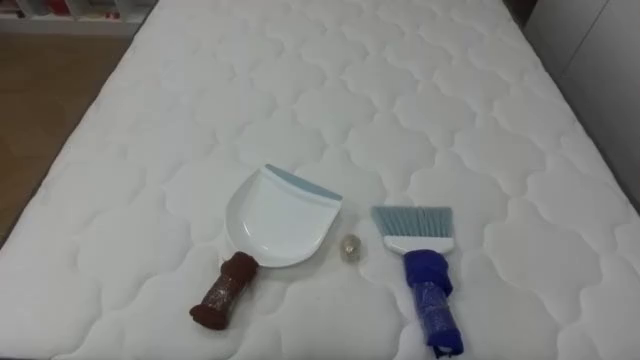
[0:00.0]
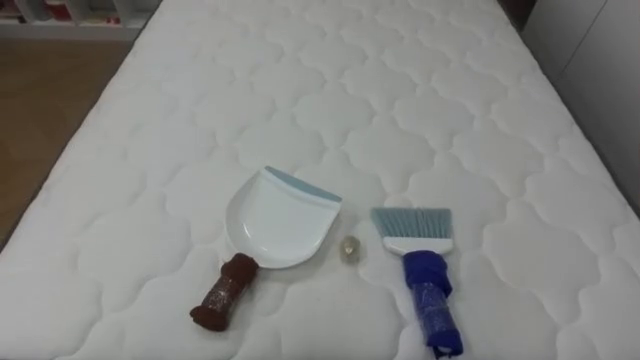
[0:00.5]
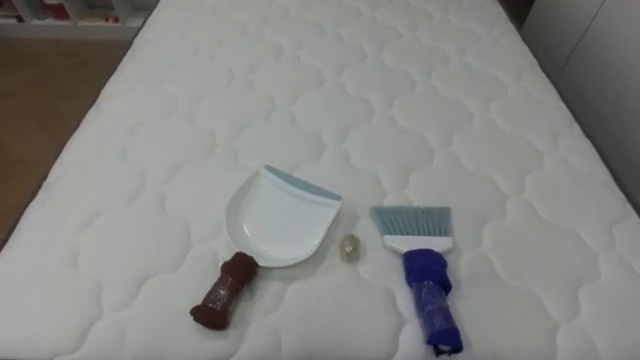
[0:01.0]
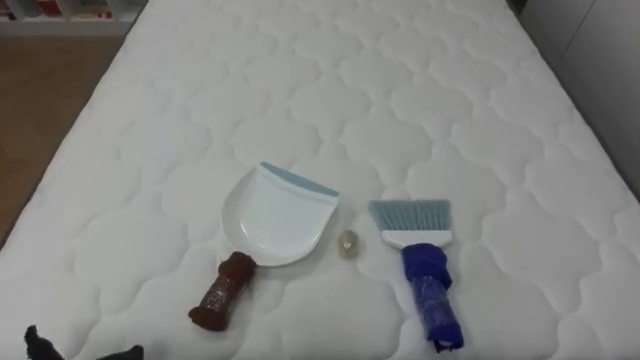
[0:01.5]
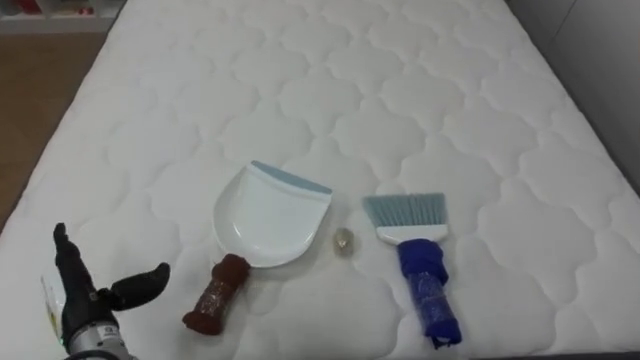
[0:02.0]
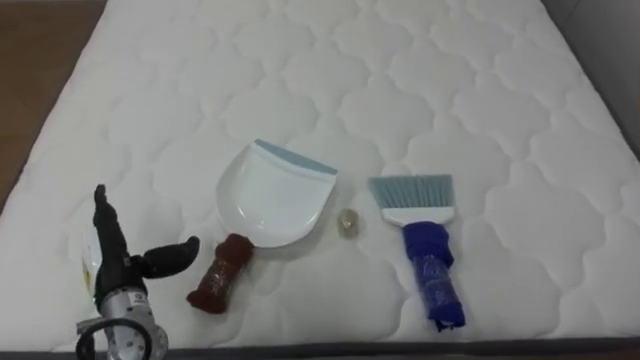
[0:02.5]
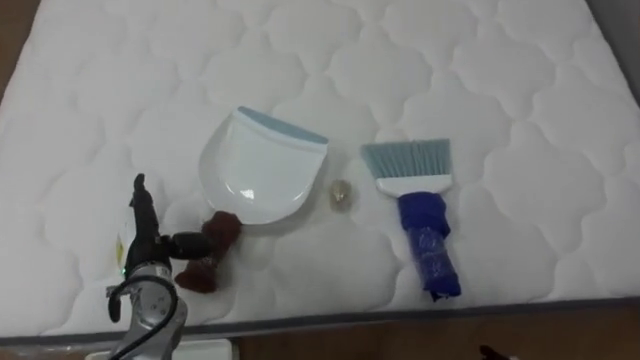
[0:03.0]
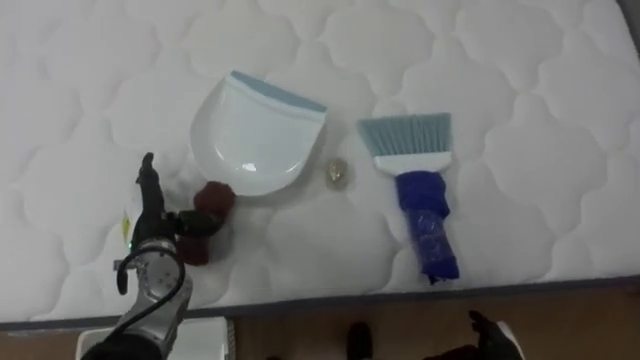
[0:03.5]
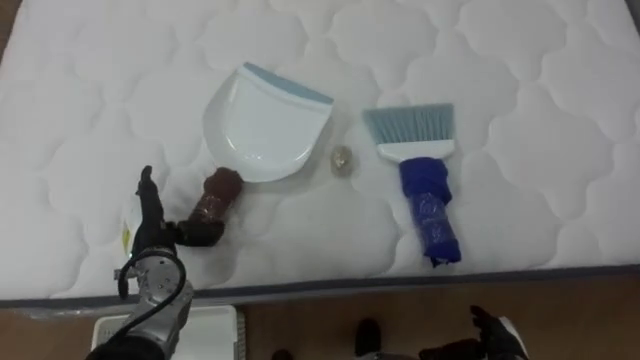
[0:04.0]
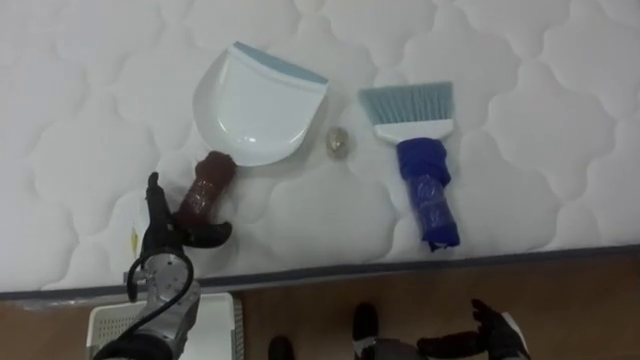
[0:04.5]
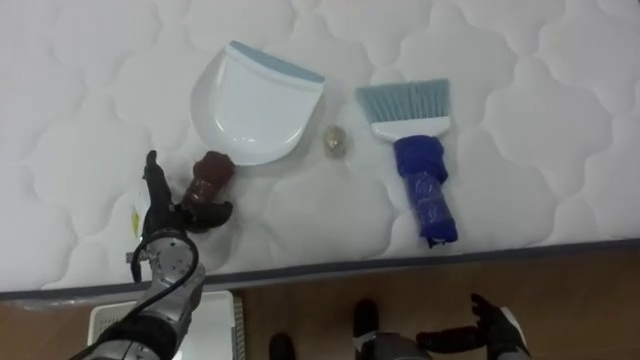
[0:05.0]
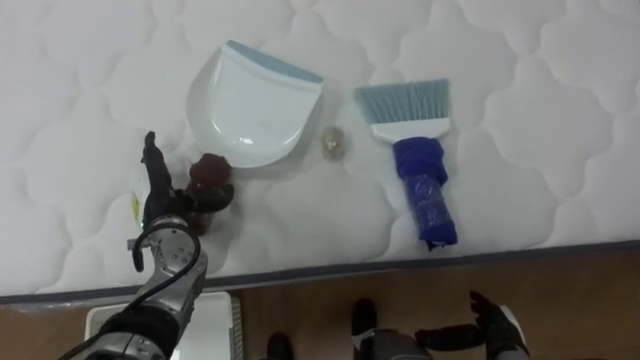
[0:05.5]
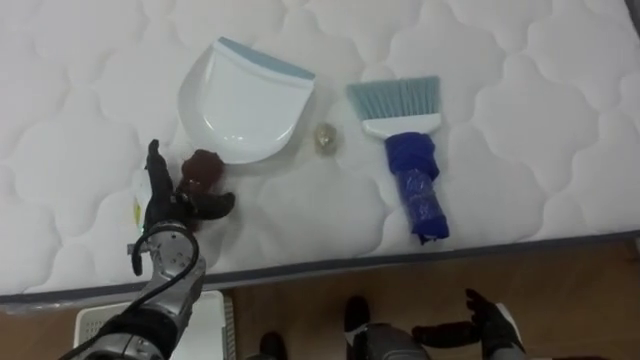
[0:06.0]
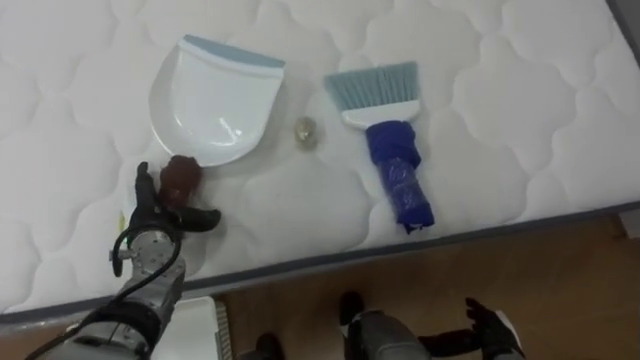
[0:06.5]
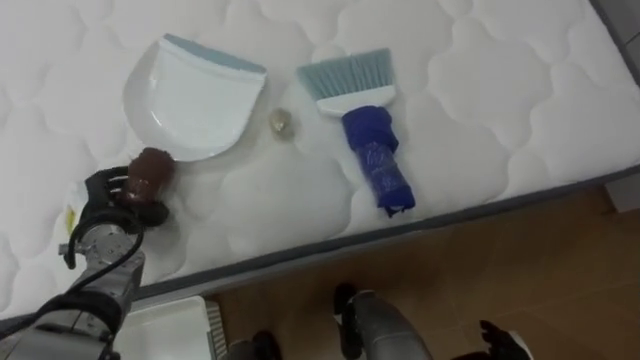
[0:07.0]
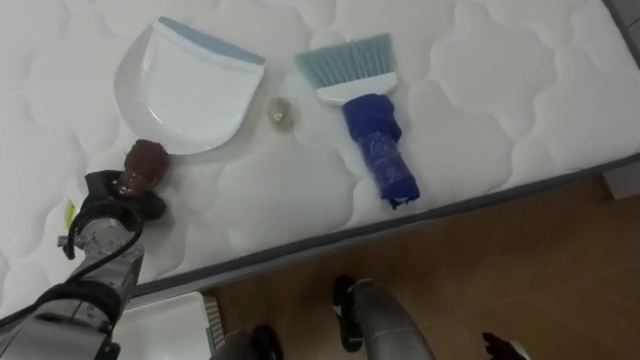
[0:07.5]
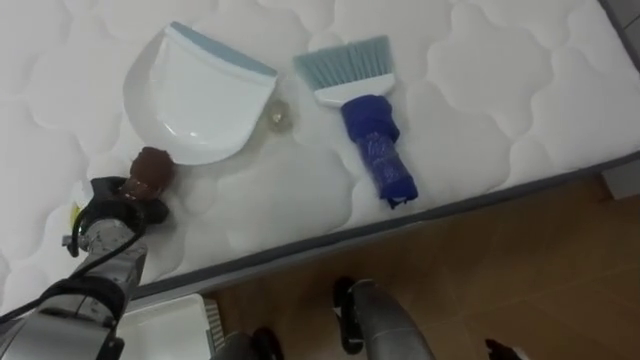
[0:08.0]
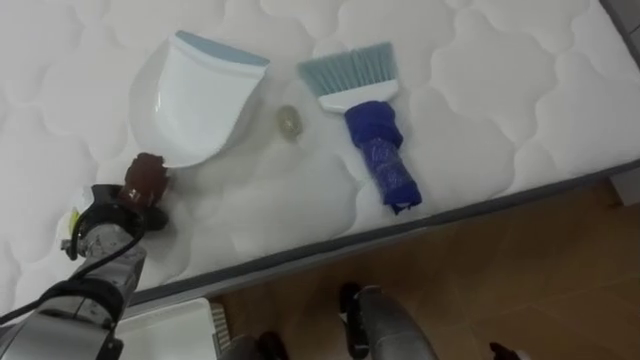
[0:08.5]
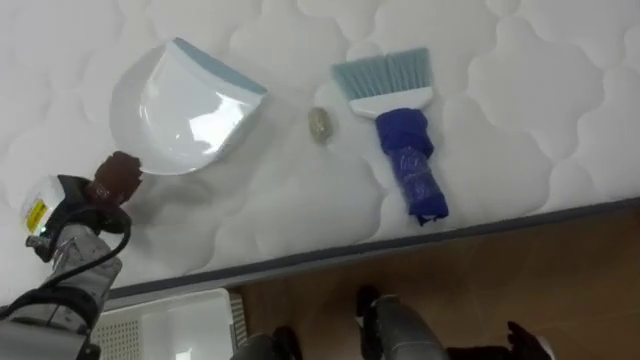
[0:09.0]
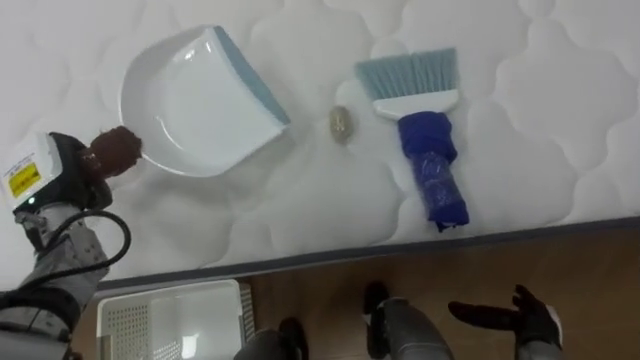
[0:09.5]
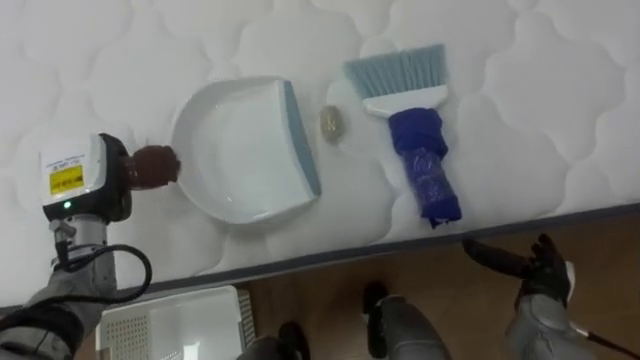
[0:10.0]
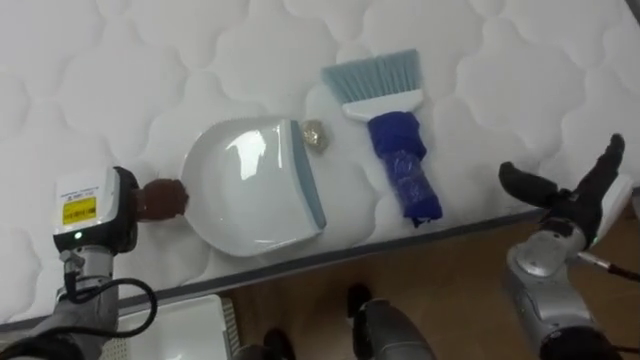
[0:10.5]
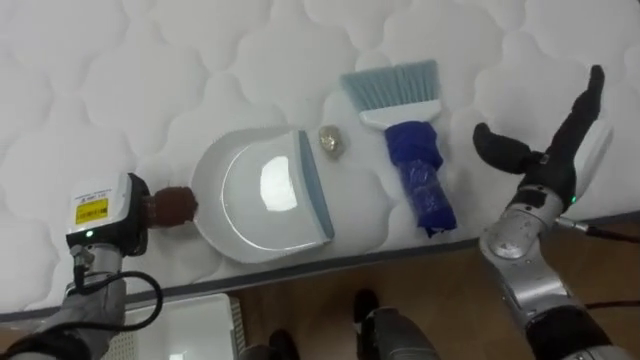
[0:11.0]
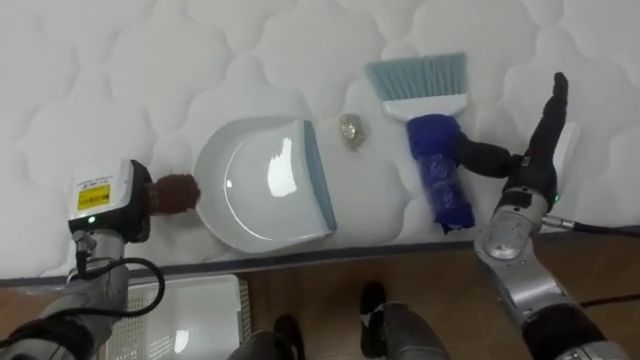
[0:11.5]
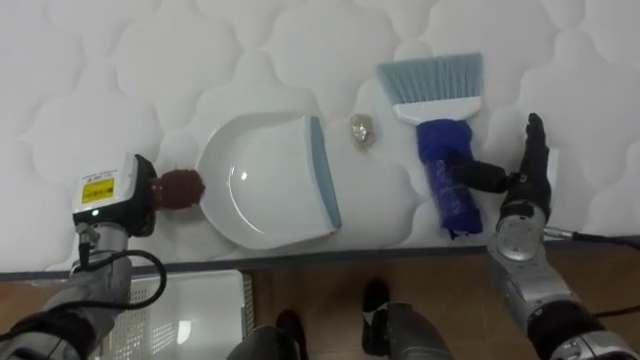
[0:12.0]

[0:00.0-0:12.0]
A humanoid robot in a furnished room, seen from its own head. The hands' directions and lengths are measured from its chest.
Task of the whole recording: Pick up the brush on your right and the dustpan on your left. Use the brush to sweep the crumpled paper on the bed into the dustpan, then turn left and empty it into the basket.
0:02.0 to 0:04.0: The left hand goes some 15 cm forward and to the right.
0:06.0 to 0:08.0: The left hand goes about 10 cm to the left, and closes.
0:08.0 to 0:10.0: The left hand goes approximately 5 cm upward.
0:10.0 to 0:12.0: The right hand is displaced upward and forward by approximately 15 cm.

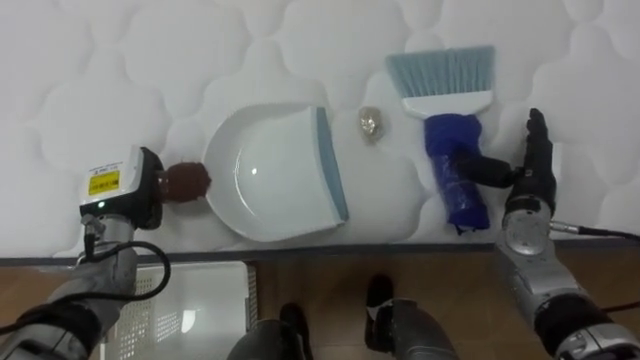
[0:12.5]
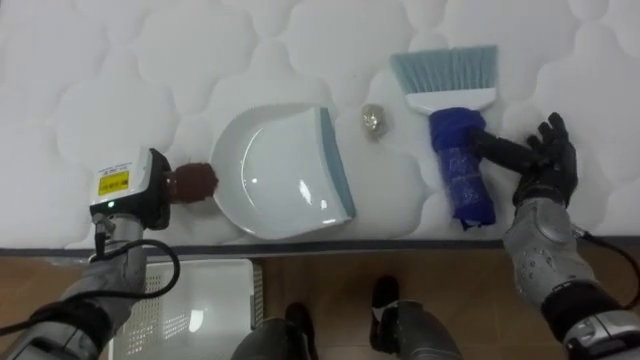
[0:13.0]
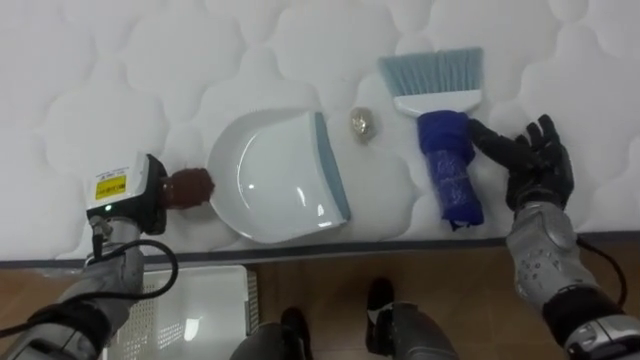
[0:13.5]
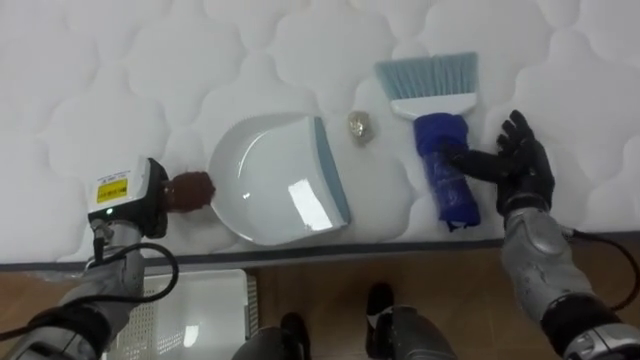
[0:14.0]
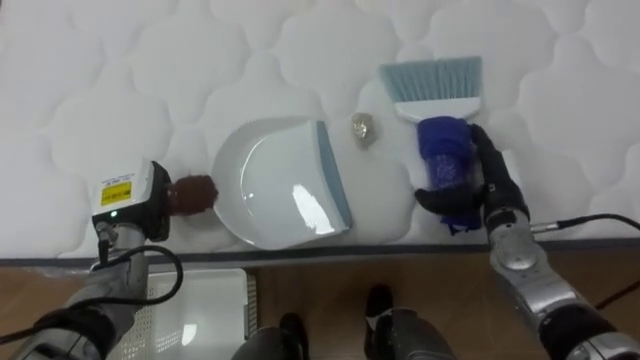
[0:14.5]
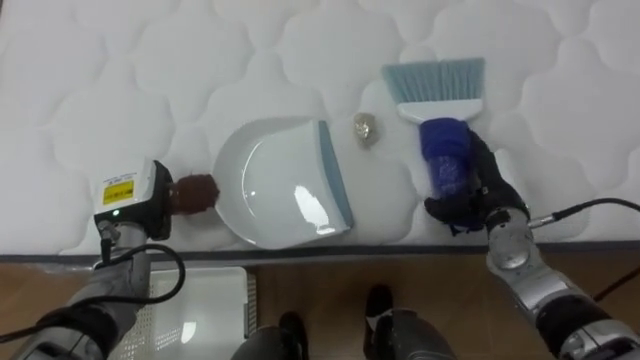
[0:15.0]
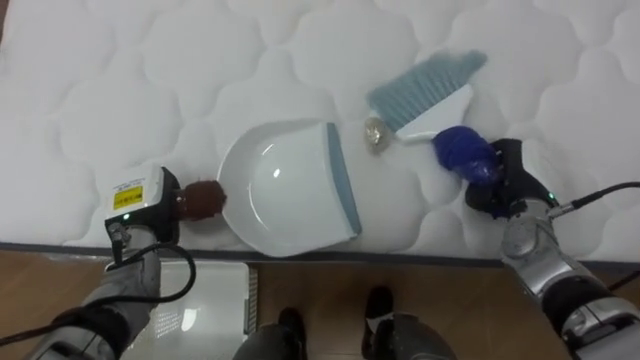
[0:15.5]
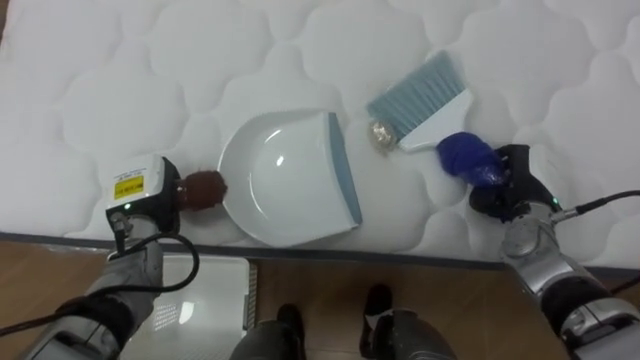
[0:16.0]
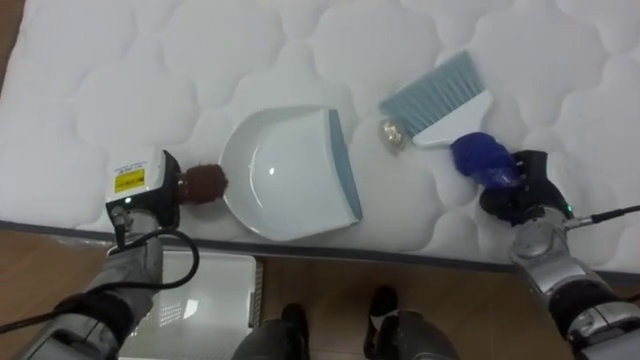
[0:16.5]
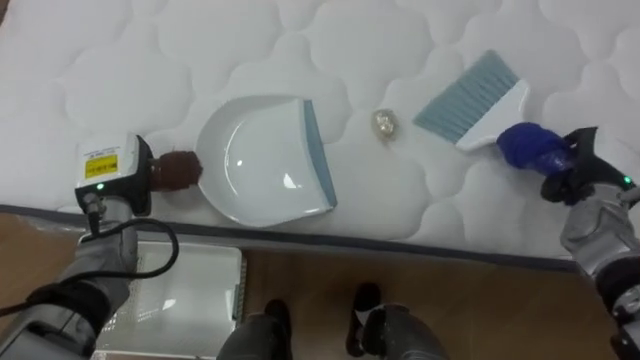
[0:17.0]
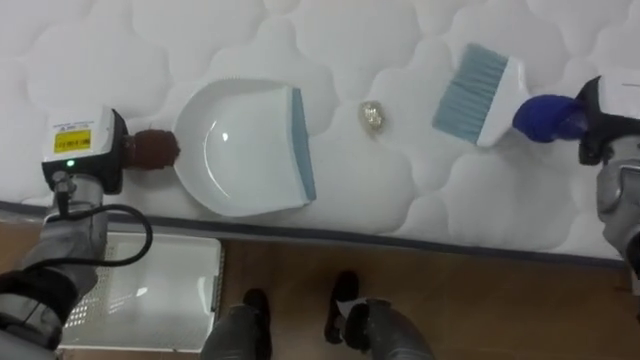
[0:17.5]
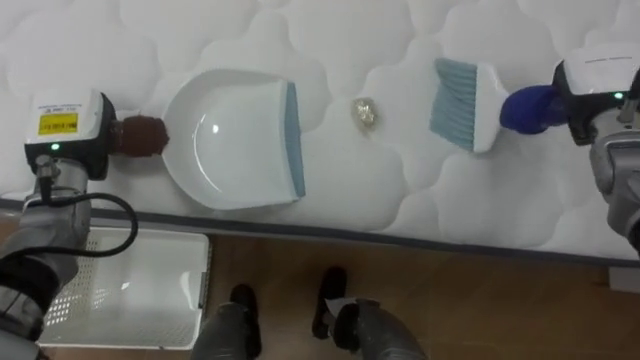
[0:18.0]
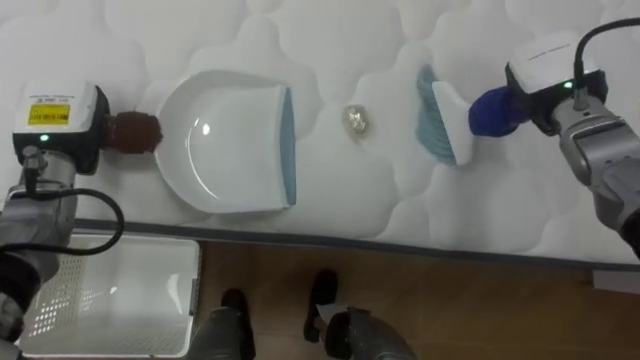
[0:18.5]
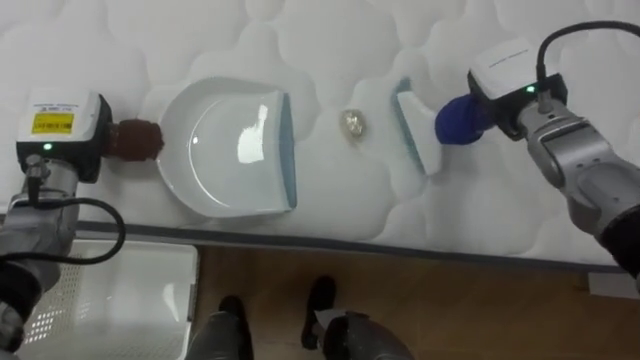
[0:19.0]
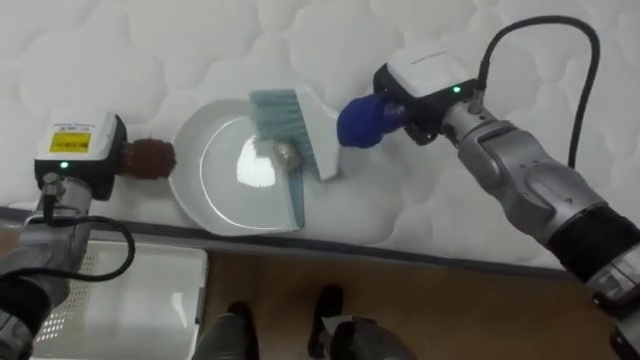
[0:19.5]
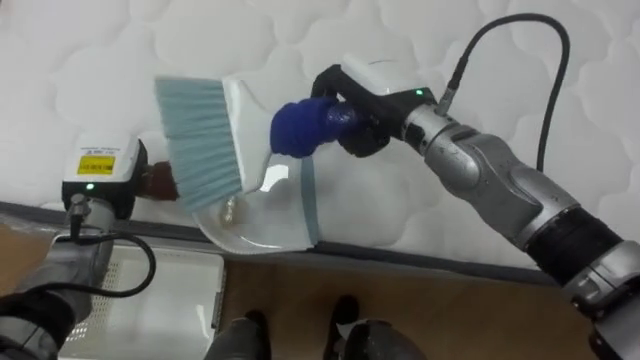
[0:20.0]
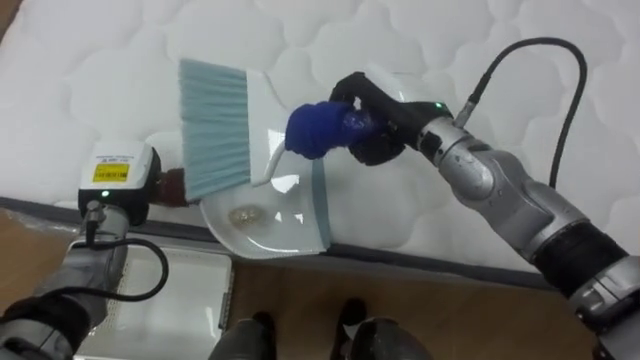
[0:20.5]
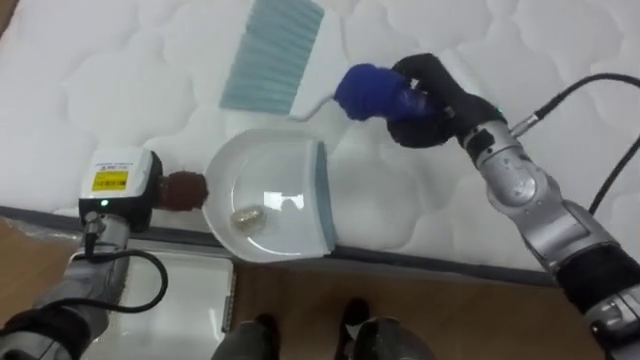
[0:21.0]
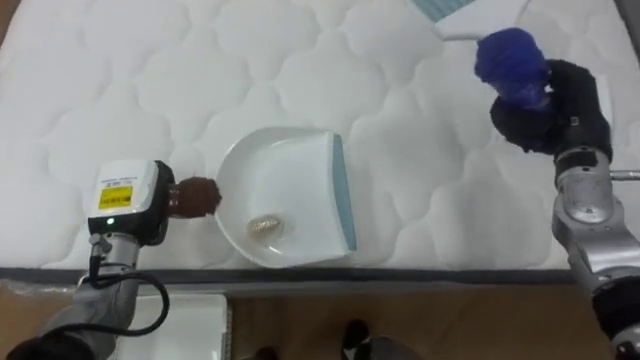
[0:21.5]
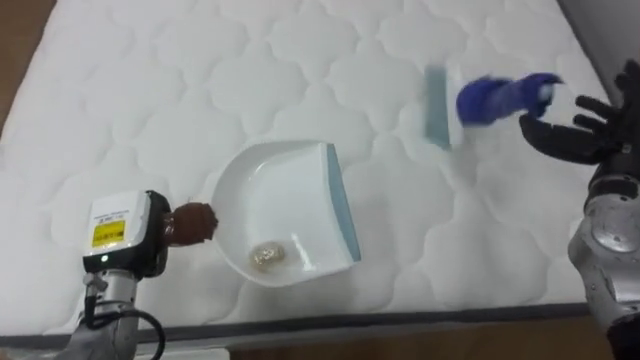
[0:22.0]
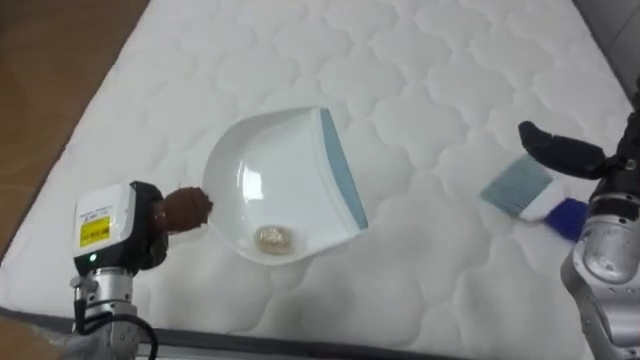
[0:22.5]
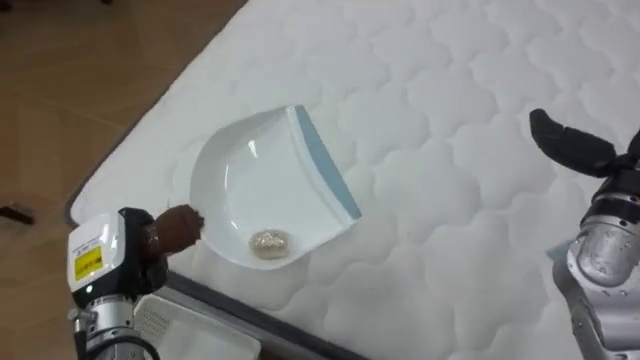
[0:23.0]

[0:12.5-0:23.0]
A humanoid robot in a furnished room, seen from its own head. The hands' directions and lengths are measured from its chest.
Task of the whole recording: Pick up the brush on your right and the dustpan on your left. Use the brush to sweep the crumpled paper on the bed into the dustpan, then turn left and empty it into the basket.
0:14.5 to 0:16.5: The right hand travels to the right by about 5 cm, and closes up.
0:16.5 to 0:19.0: The left hand travels upward and to the left by approximately 10 cm; the right hand shifts about 15 cm upward, forward and to the left.
0:19.0 to 0:21.0: The right hand is displaced to the left by some 5 cm, while the left hand is displaced downward by about 5 cm.
0:21.0 to 0:23.0: The robot's body swings about 15 degrees to its left. The right hand heads to the right and backward, covering about 20 cm, and opens its fingers. The left hand moves backward, roughly 10 cm.
